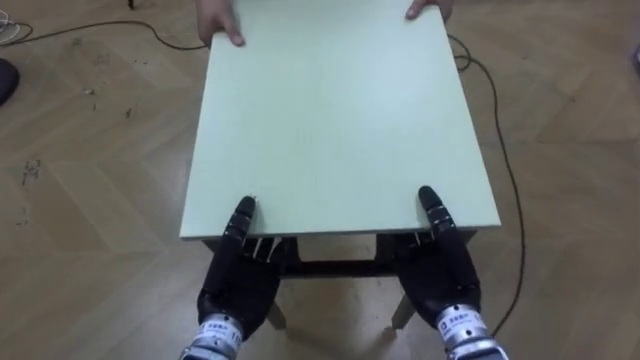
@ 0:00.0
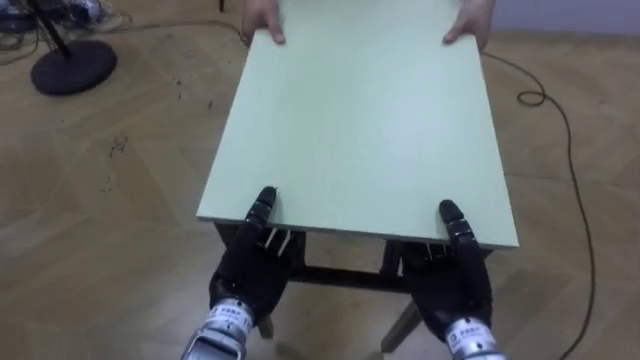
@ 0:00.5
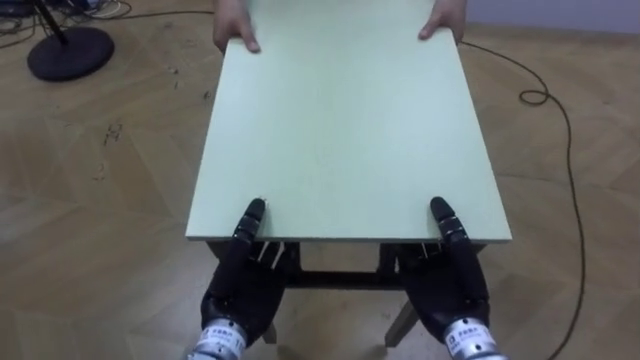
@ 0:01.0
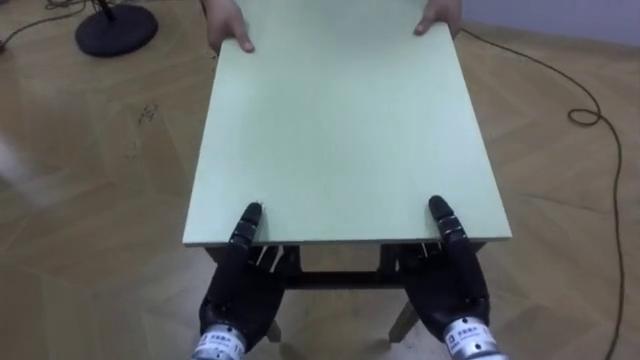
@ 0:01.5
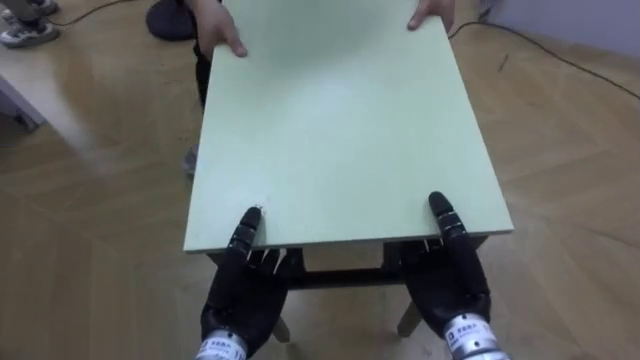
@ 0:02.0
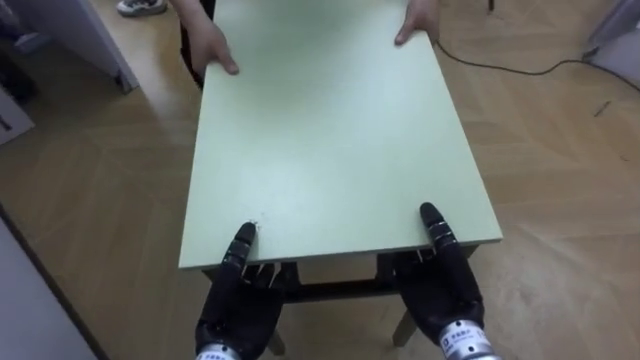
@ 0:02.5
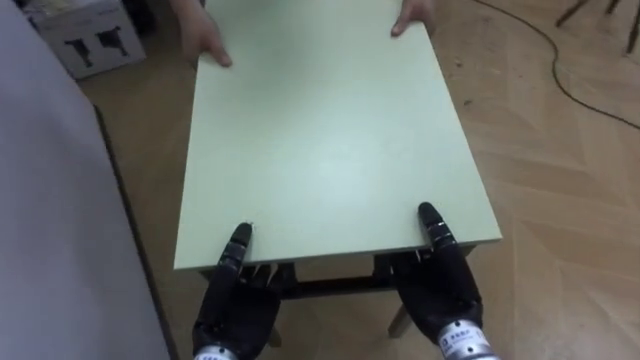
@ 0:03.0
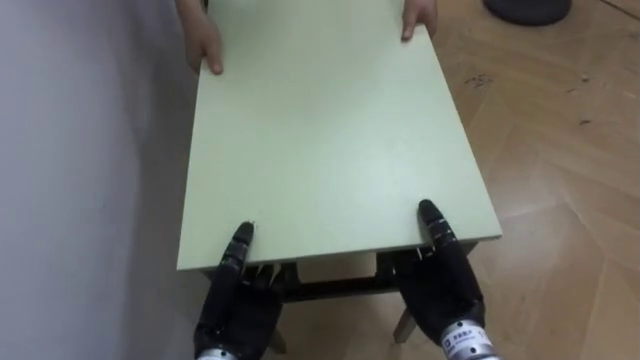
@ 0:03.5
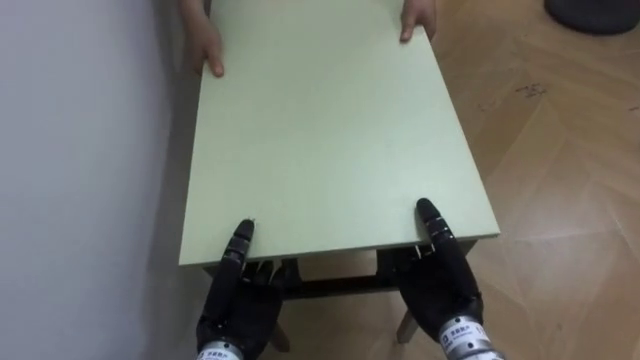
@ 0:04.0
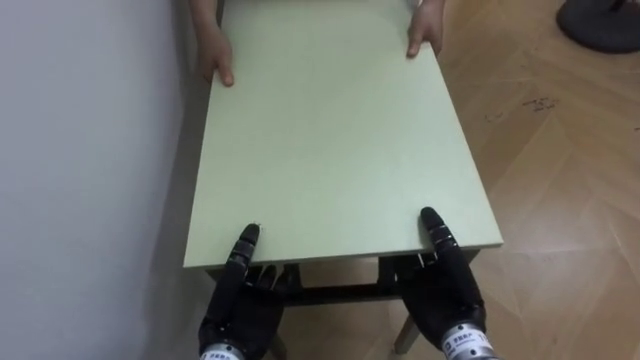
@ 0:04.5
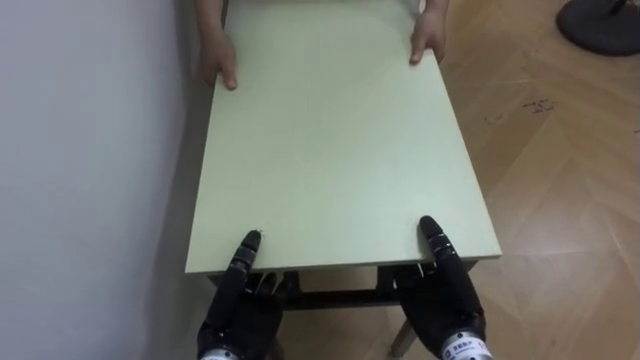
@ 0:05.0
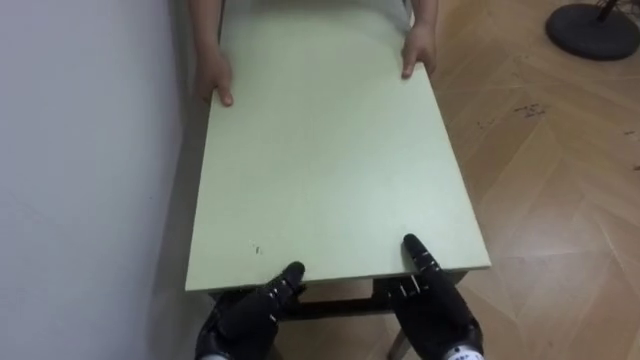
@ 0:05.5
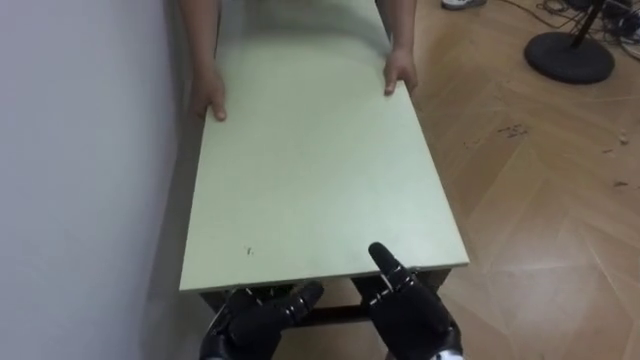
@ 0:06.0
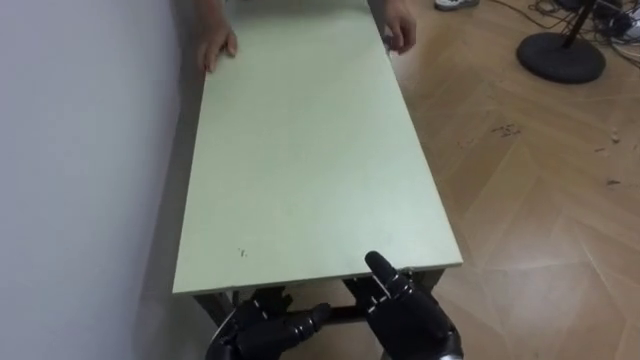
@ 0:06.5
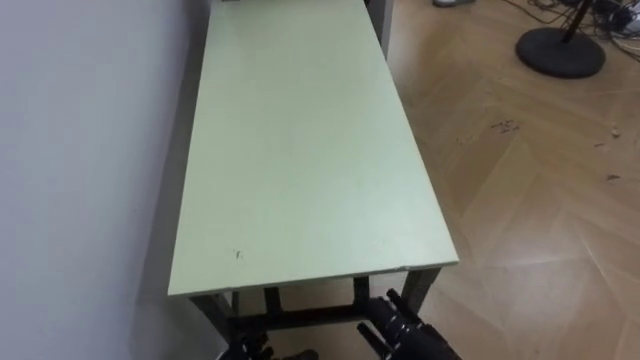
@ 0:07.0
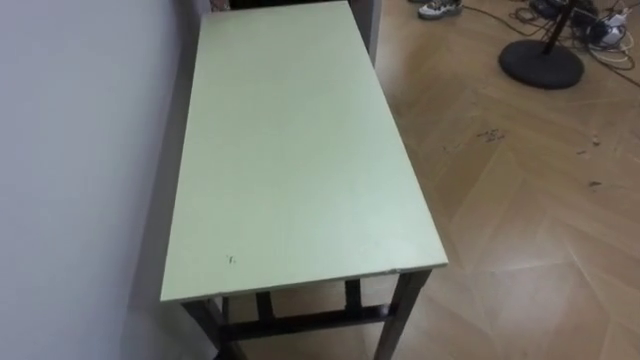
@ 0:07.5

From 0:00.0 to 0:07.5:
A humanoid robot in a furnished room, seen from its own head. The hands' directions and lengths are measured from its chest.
Task of the whole recording: Move the table to the back left with someone.
From 0:00.0 to 0:02.0: The robot turns to its left by roughly 25 degrees.
From 0:02.0 to 0:04.0: The robot's body swings about 60 degrees to its left.
From 0:04.0 to 0:05.5: The left hand opens its fingers.

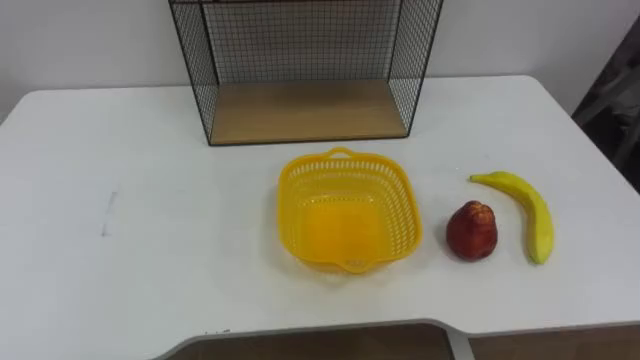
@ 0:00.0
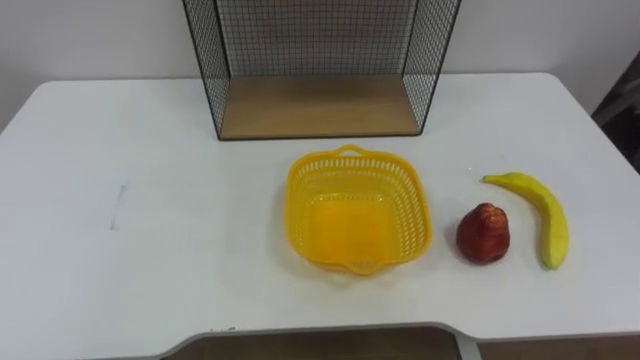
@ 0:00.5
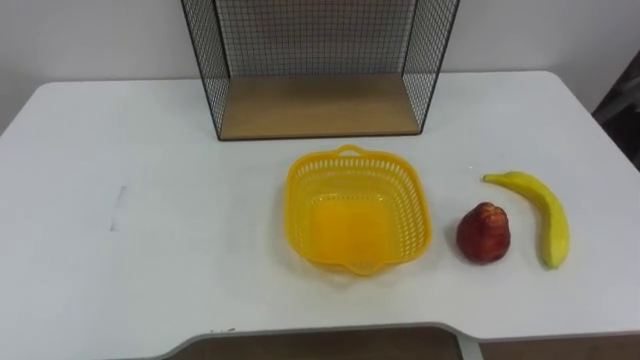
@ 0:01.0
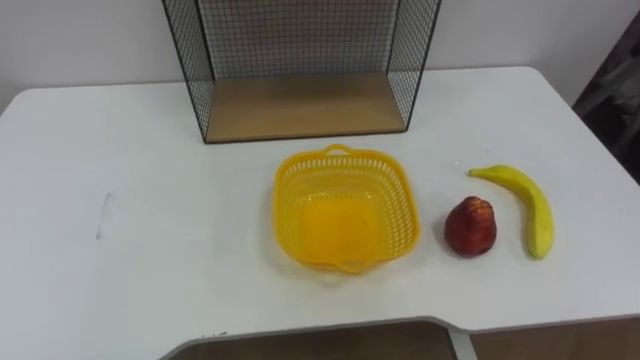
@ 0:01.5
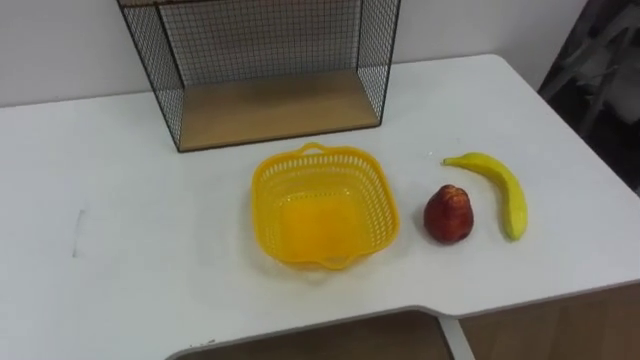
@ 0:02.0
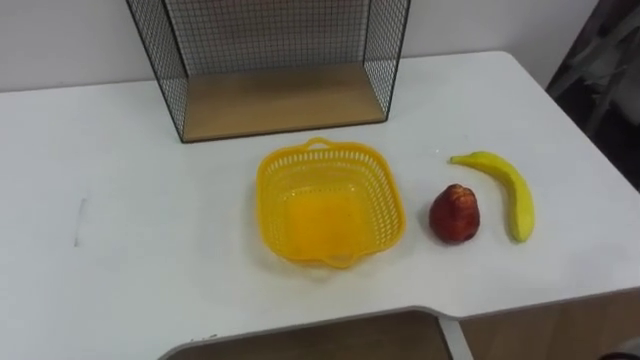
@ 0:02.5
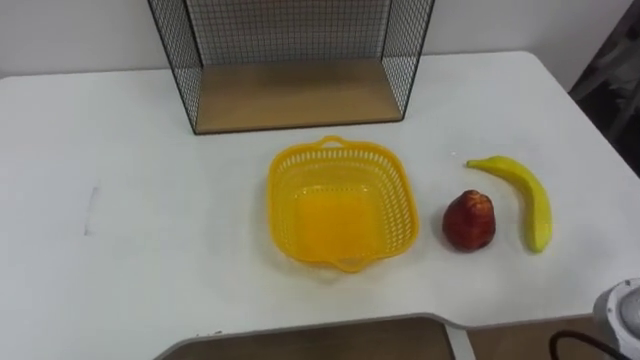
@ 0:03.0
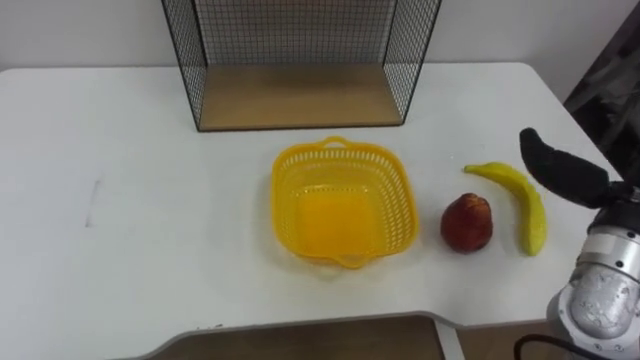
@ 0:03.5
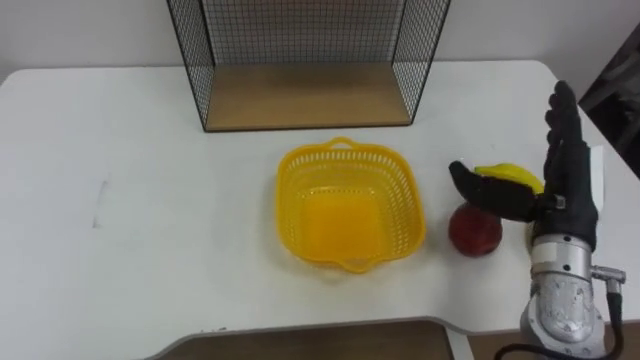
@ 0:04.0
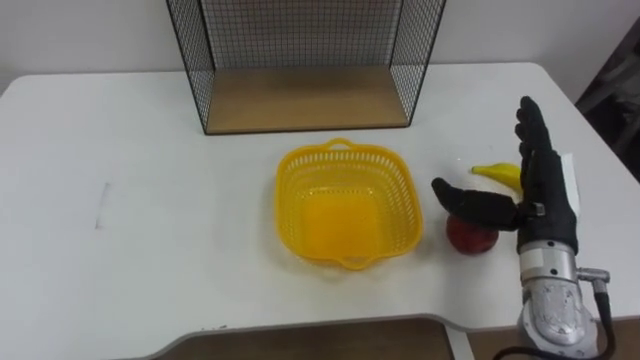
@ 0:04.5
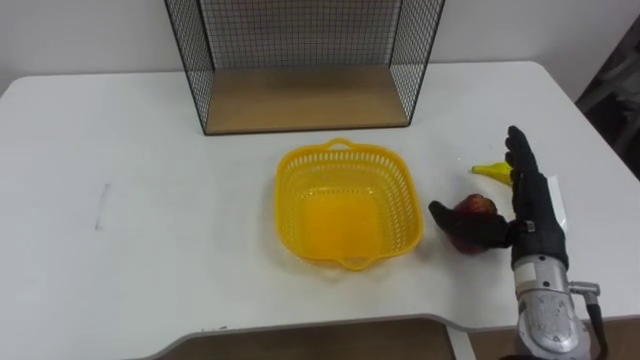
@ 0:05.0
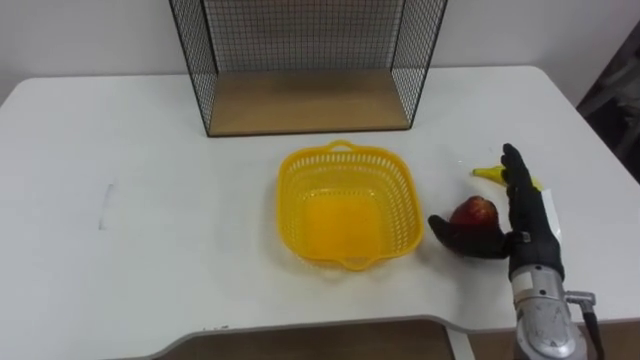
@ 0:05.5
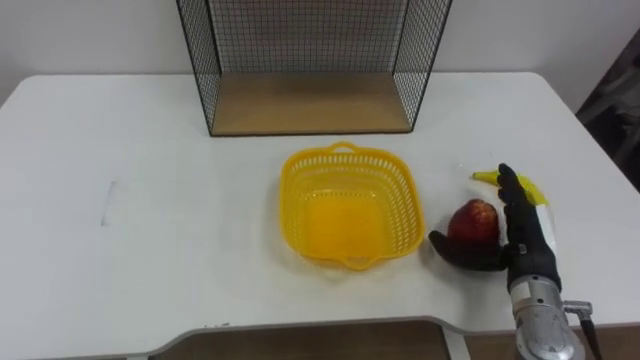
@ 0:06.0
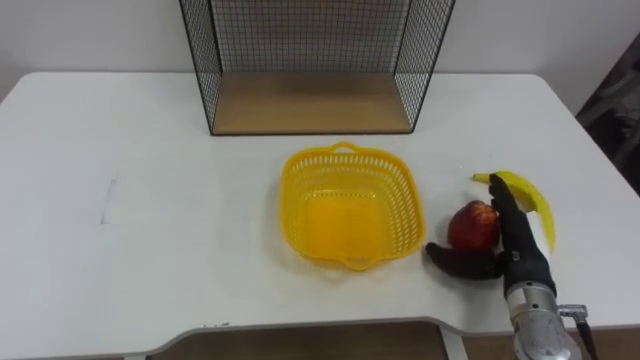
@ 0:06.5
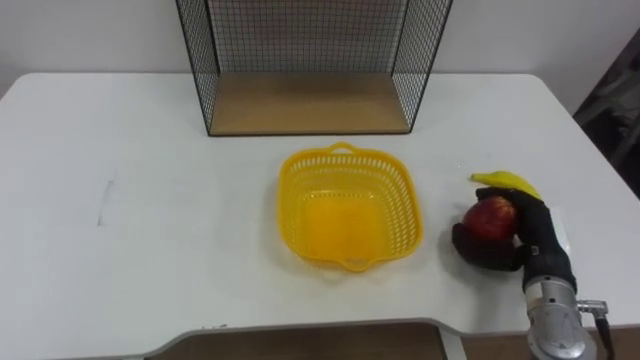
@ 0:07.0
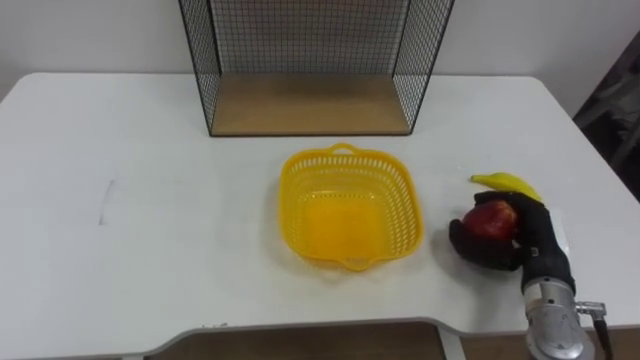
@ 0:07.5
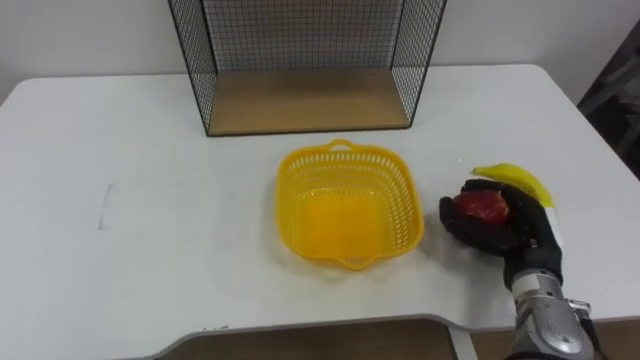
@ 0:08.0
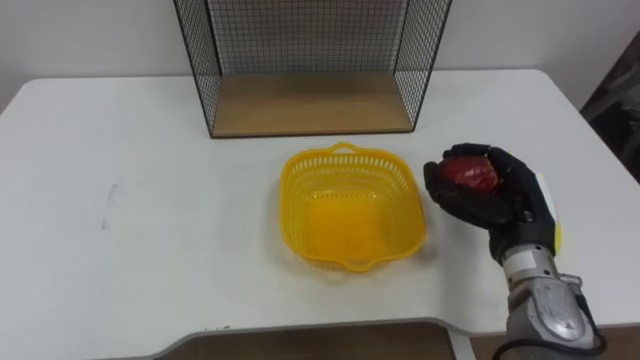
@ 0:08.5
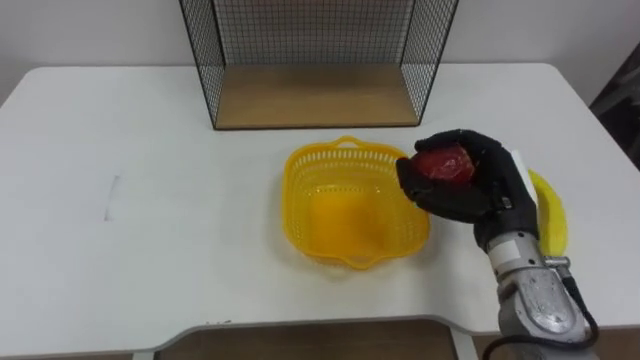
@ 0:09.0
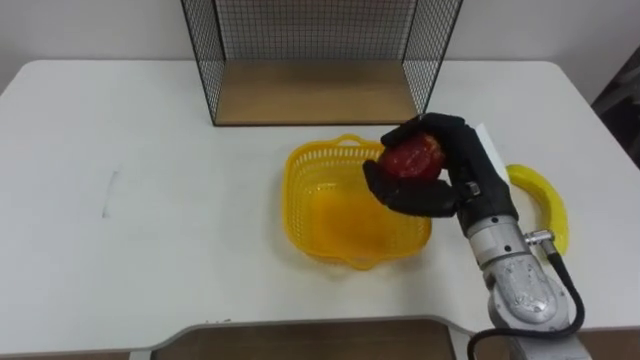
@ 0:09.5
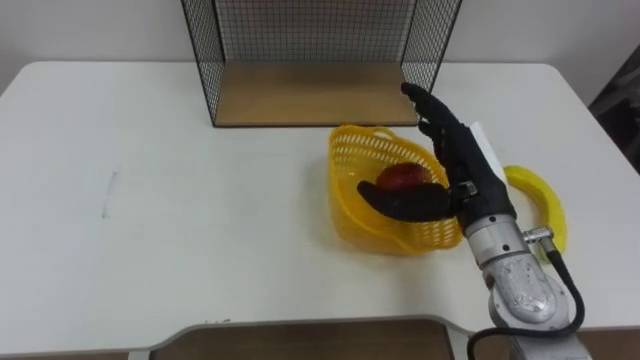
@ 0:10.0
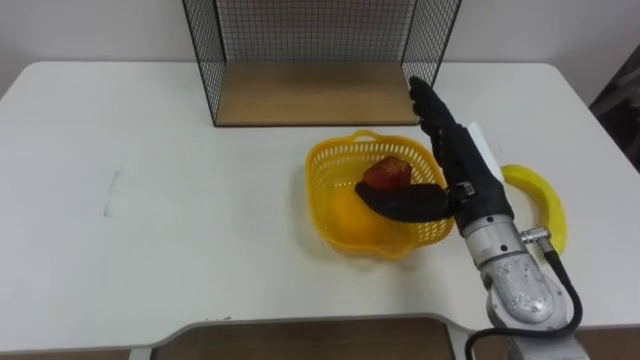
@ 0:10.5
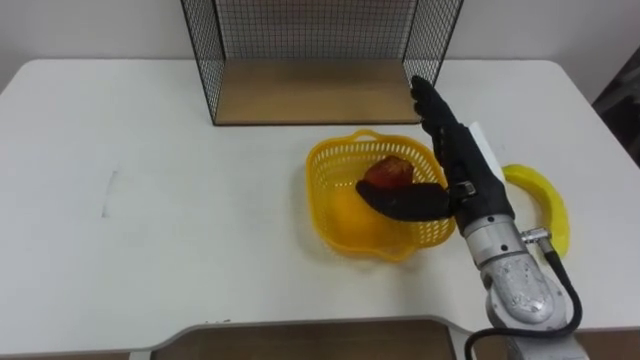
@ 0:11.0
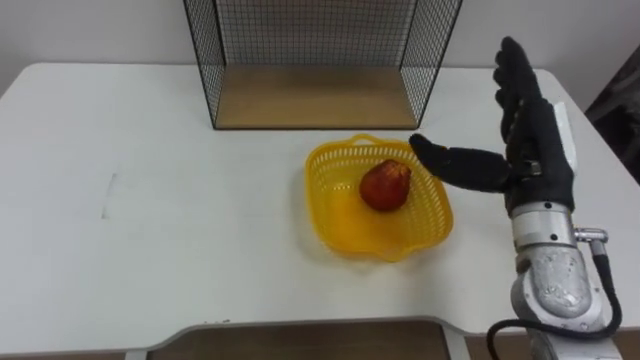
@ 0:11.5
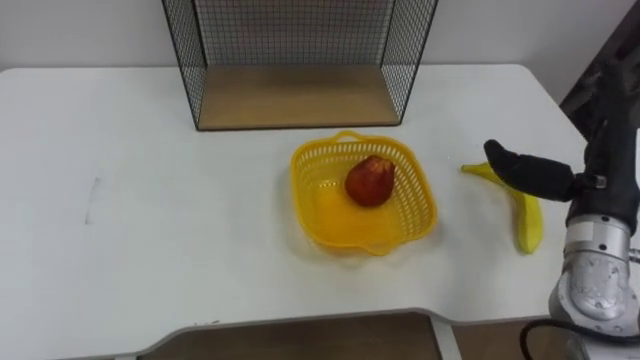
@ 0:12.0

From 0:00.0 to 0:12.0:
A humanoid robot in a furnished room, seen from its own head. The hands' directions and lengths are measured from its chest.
Task of the whole recording: Put the fruit on the table into the basket, then place the basket on the shelf.
From 0:04.0 to 0:06.0: The right hand travels downward by some 10 cm.
From 0:06.0 to 0:08.0: The right hand closes up.
From 0:08.0 to 0:10.0: The right hand shifts approximately 15 cm upward and to the left, and opens.
From 0:10.0 to 0:12.0: The right hand is displaced to the right by approximately 15 cm.
